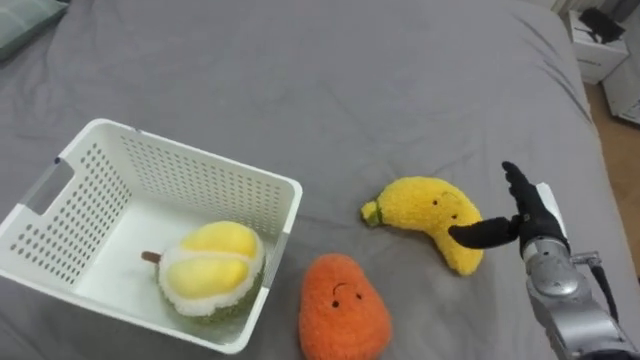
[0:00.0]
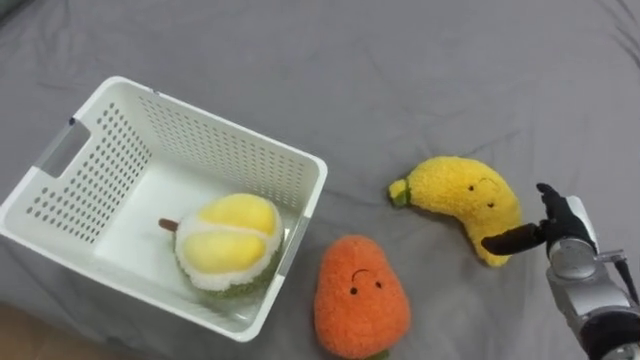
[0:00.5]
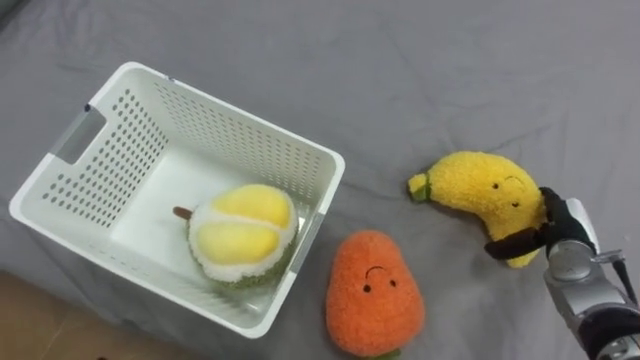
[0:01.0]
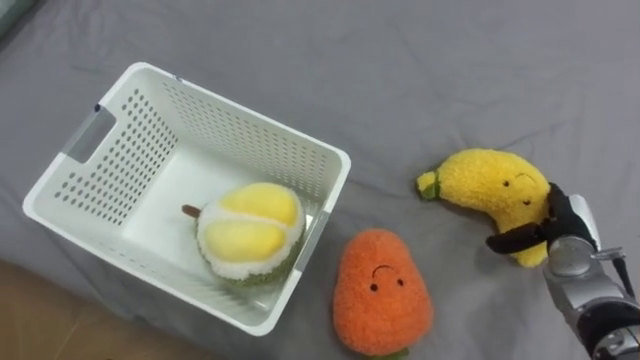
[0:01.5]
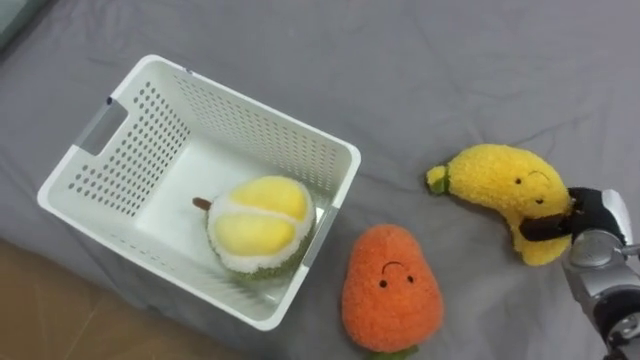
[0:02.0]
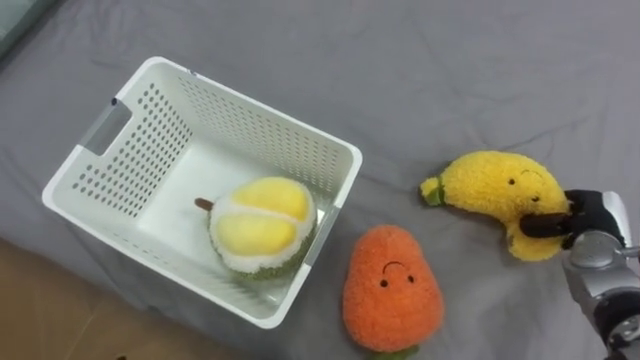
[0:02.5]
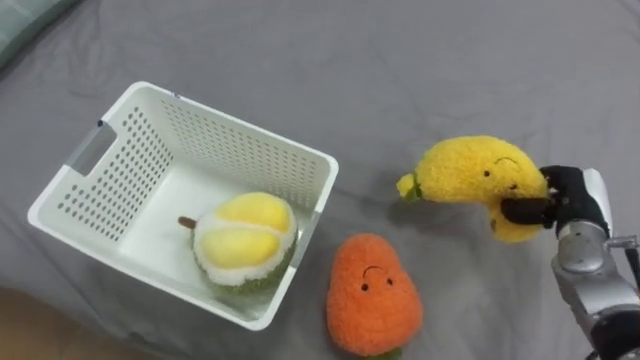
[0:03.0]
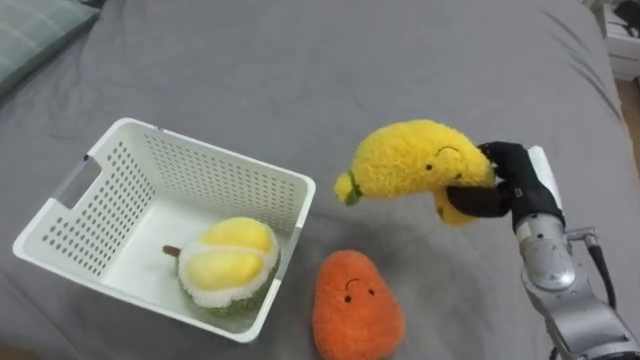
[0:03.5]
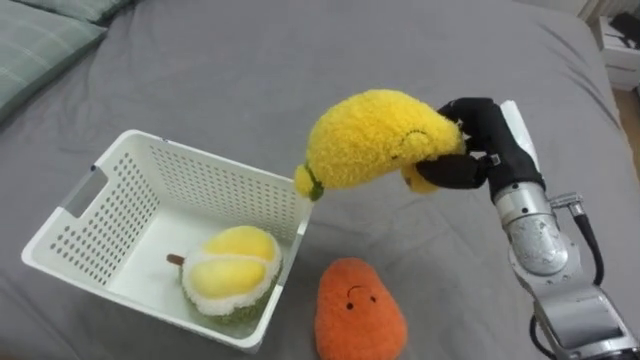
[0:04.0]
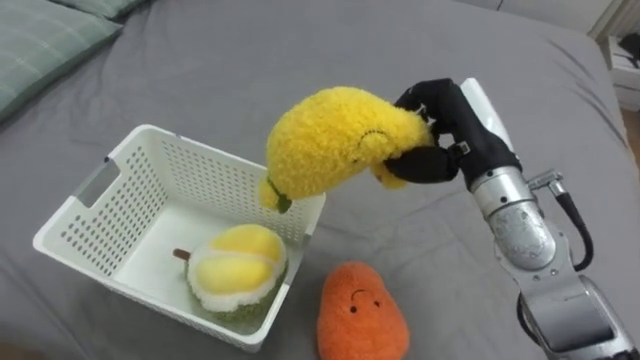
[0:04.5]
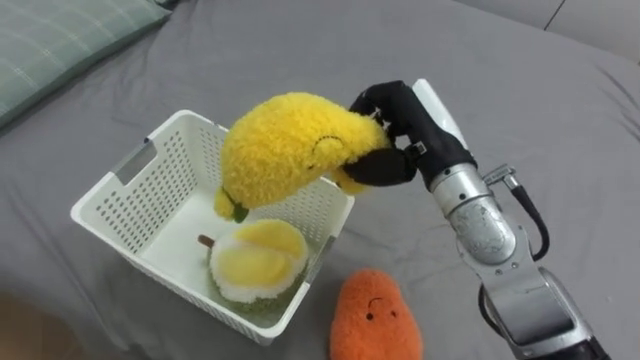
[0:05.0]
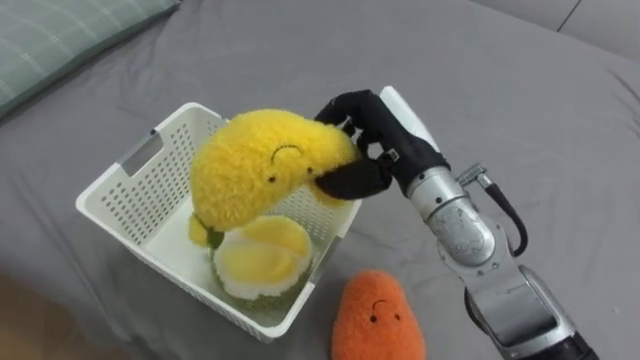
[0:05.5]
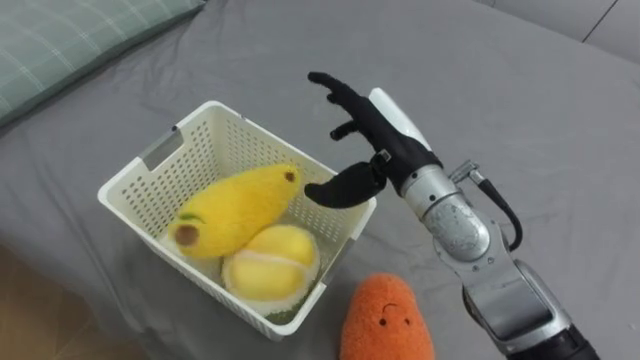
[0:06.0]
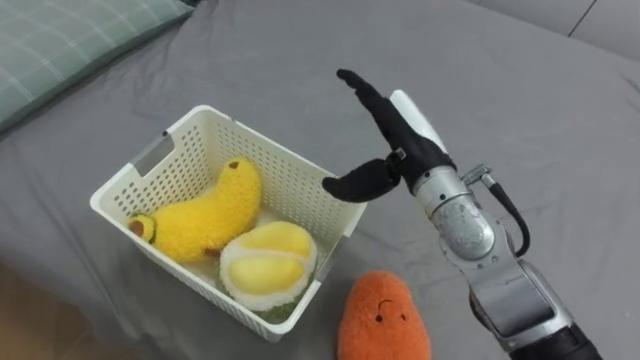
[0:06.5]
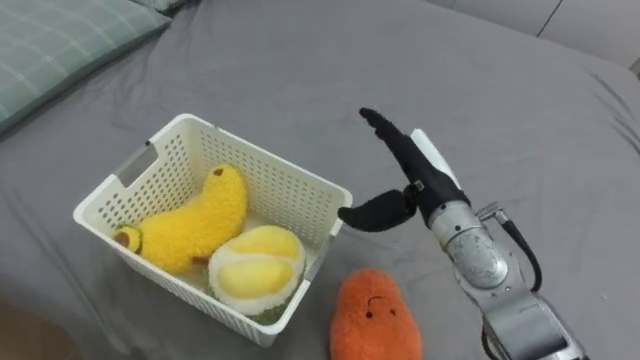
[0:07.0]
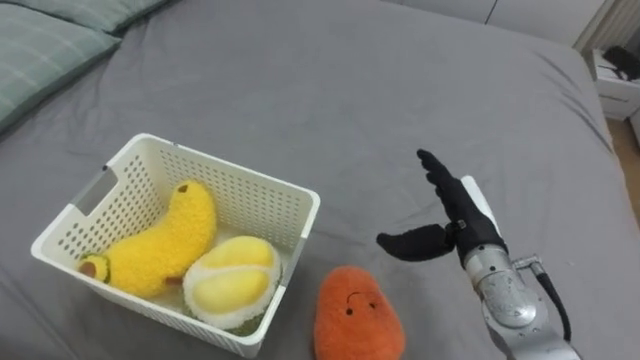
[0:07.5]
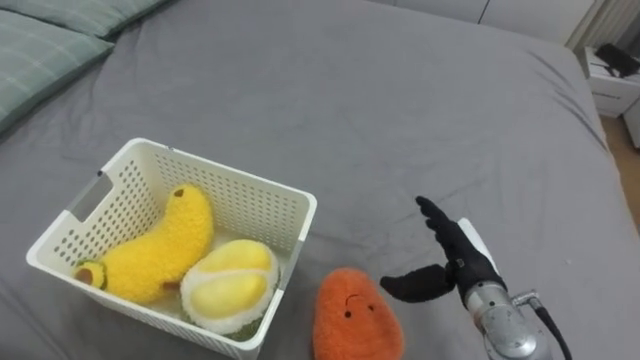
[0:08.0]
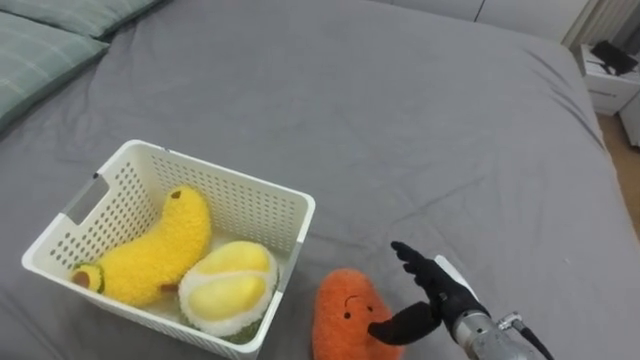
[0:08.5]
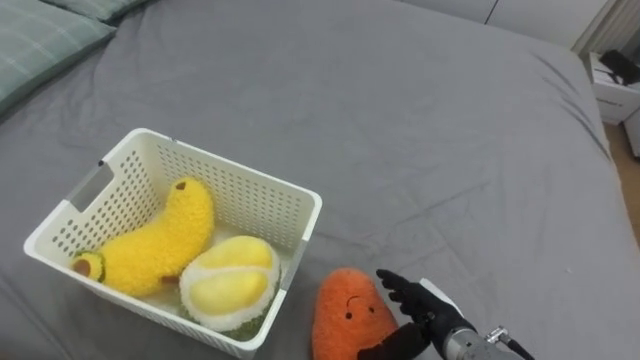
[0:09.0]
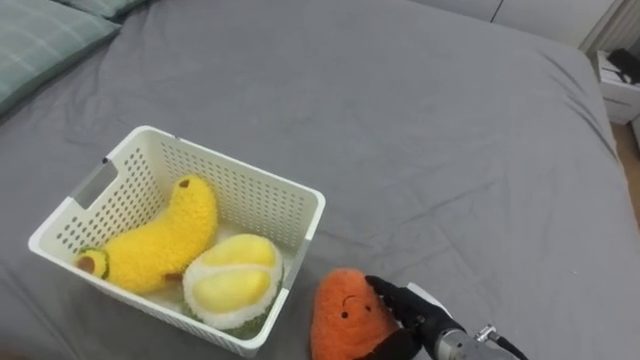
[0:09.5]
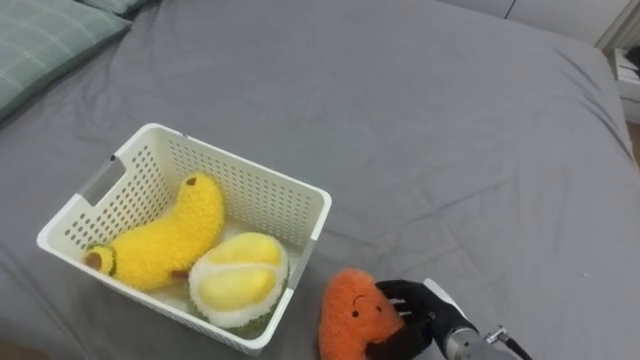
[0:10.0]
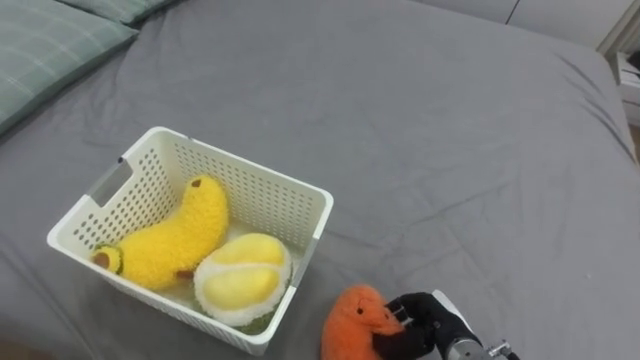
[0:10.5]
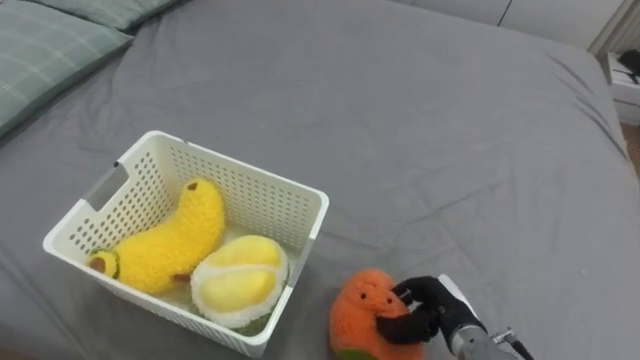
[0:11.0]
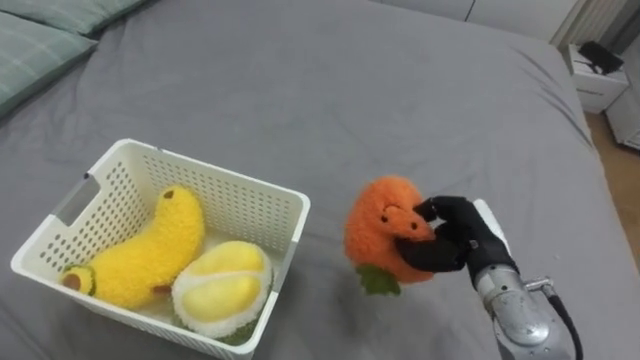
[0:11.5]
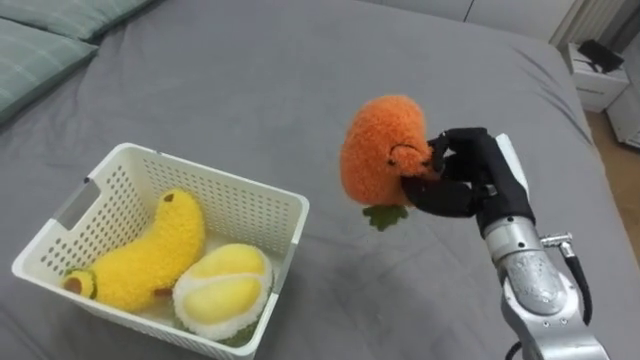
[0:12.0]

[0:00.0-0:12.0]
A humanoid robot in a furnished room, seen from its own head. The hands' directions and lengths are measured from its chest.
Task of the whole recording: Put the toys on the bed into the basket on the left.
0:00.0 to 0:02.0: The right hand moves to the right, approximately 10 cm, and closes.
0:02.0 to 0:04.0: The right hand shifts about 20 cm to the left and upward, and closes its fingers.
0:04.0 to 0:06.0: The right hand shifts approximately 15 cm to the left, and opens.
0:06.0 to 0:08.0: The right hand travels downward, to the right and backward by some 20 cm.
0:08.0 to 0:10.0: The right hand travels downward by approximately 10 cm.
0:10.0 to 0:12.0: The right hand travels upward and forward by some 20 cm, and closes.

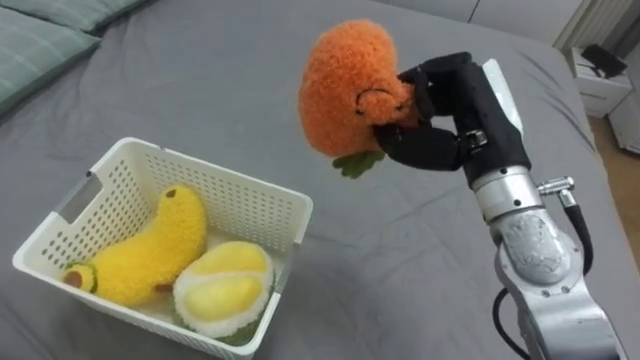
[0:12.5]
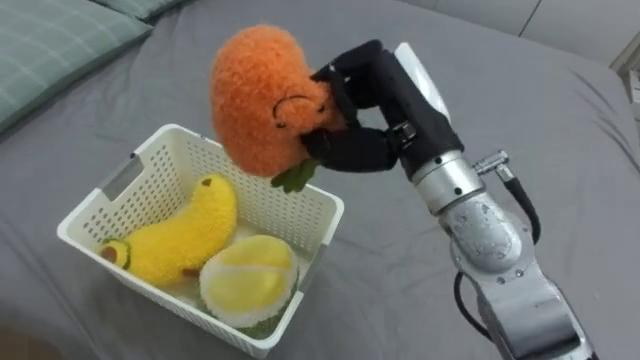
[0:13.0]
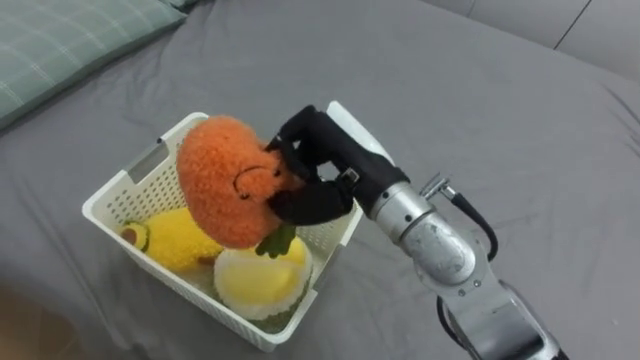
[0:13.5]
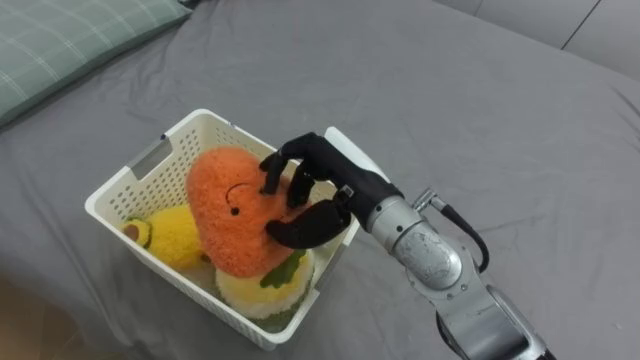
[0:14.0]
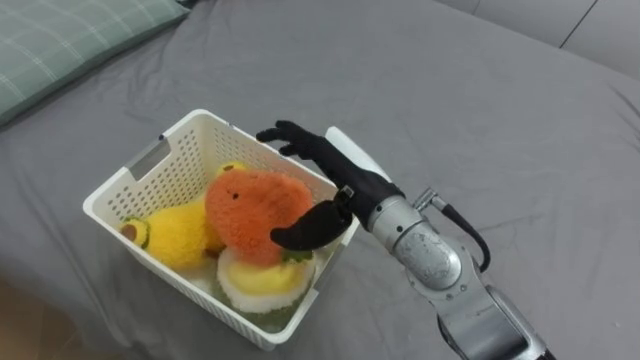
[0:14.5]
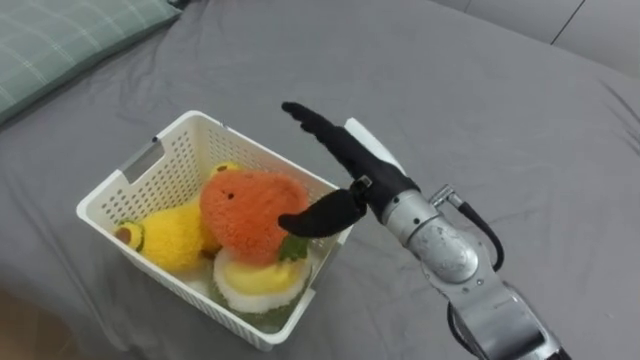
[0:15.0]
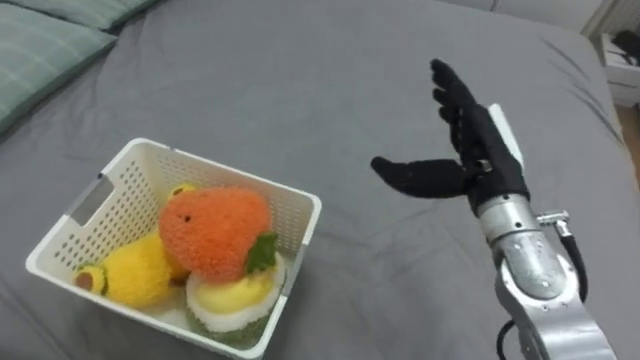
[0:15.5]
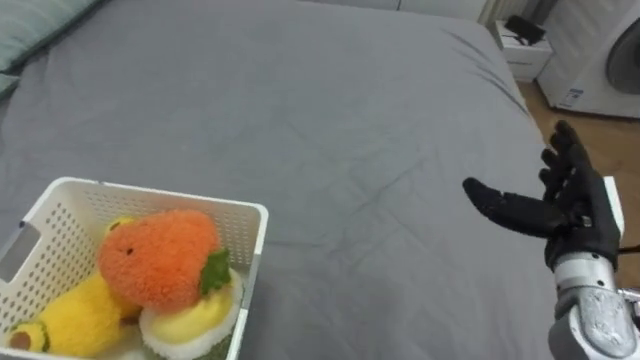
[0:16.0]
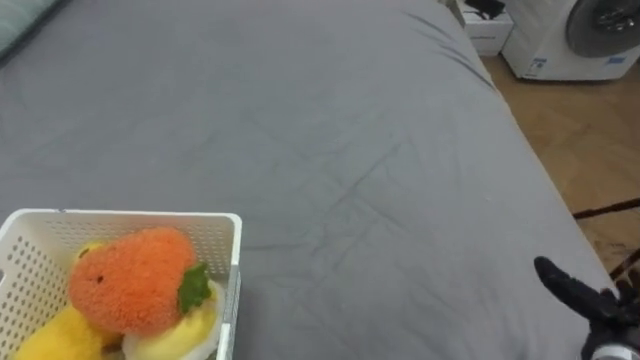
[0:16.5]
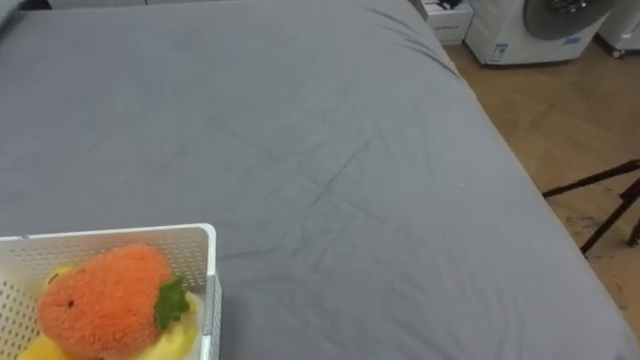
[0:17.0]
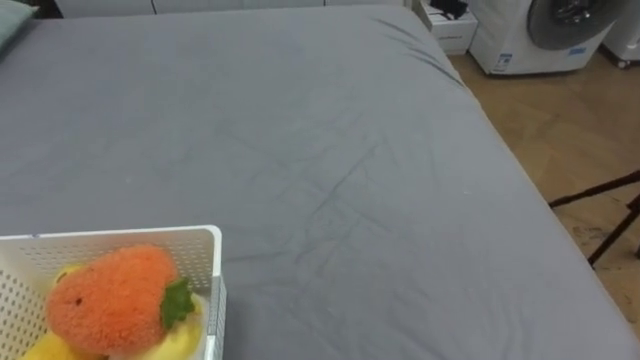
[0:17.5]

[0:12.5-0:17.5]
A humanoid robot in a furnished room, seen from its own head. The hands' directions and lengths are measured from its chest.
Task of the whole recording: Put the toys on the bed into the basket on the left.
0:12.5 to 0:15.0: The right hand travels to the left and downward by approximately 10 cm, and opens up.

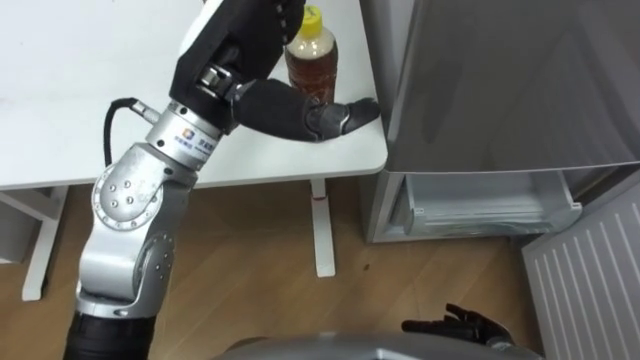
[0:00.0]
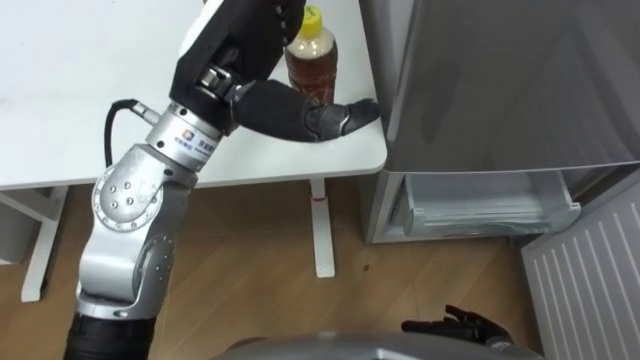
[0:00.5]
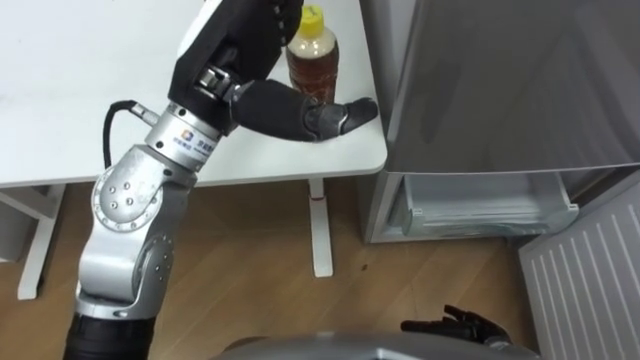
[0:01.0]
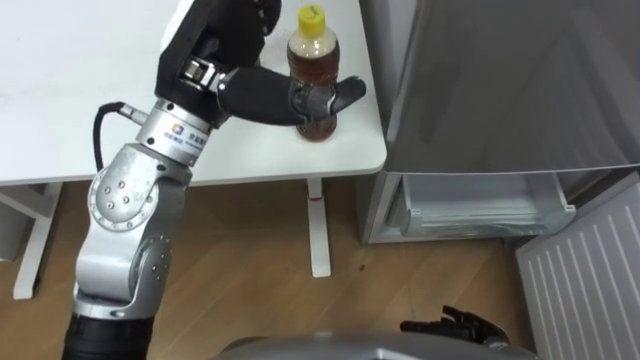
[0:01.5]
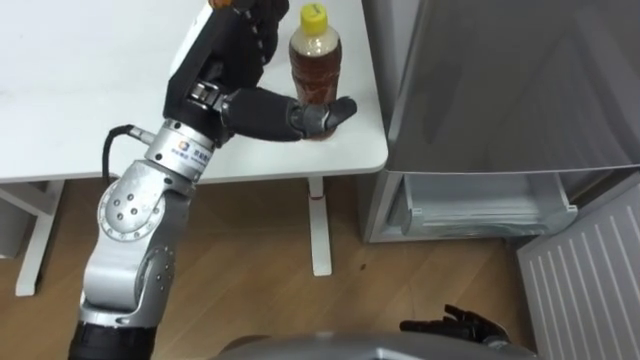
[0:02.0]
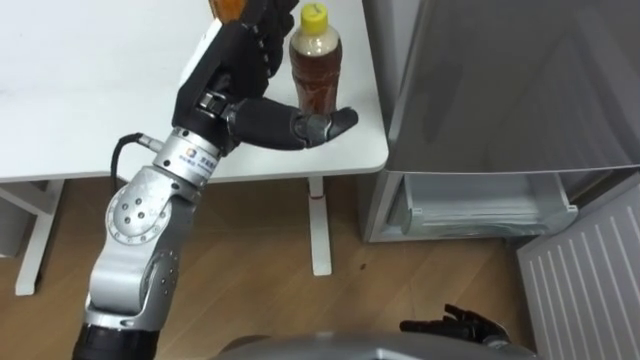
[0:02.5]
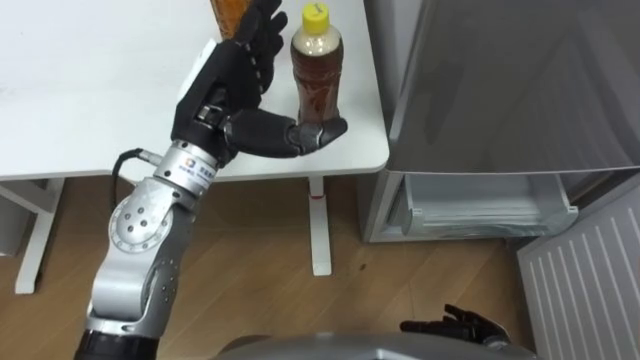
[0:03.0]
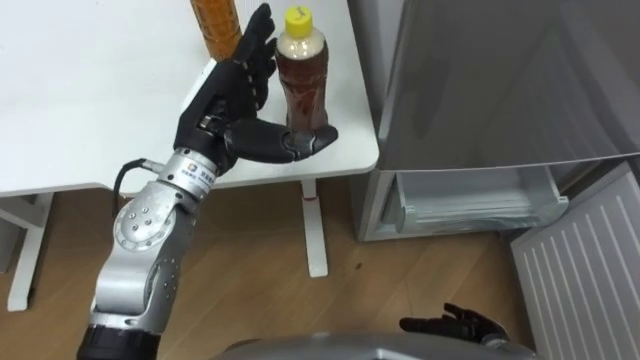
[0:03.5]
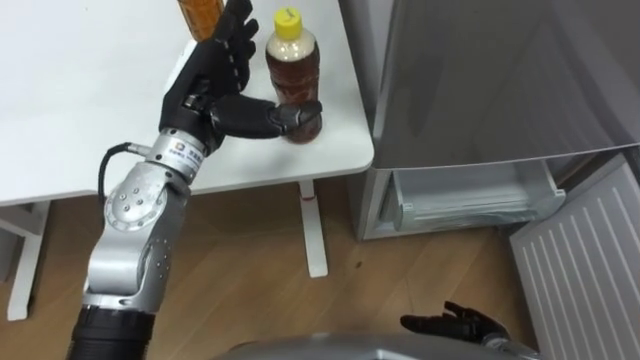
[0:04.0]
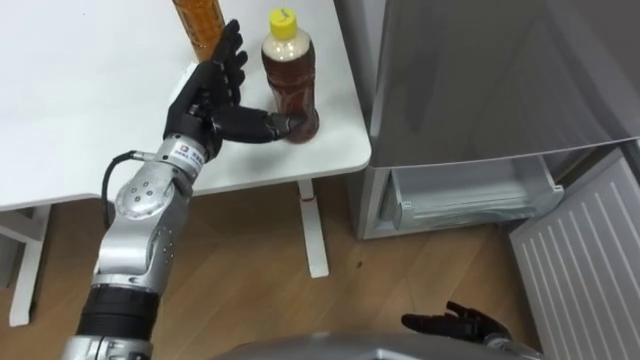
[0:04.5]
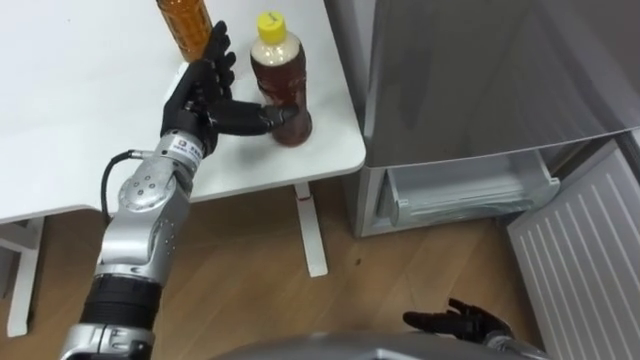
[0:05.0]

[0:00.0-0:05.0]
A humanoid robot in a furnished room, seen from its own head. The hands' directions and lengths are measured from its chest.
Task of the whole recording: Place the drink on the table on the bottom shelf of the refrigerator, then close the drawer and the refrigerator door.
0:00.0 to 0:02.5: There are only small adjustments of the hands.
0:02.5 to 0:05.0: The left hand shifts about 10 cm downward and to the left.
